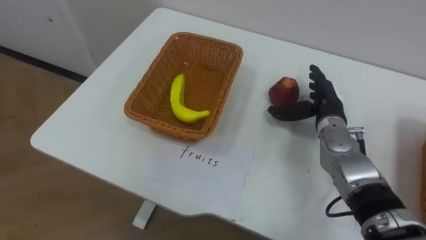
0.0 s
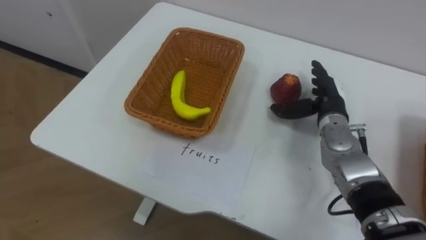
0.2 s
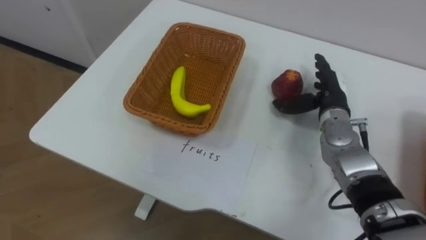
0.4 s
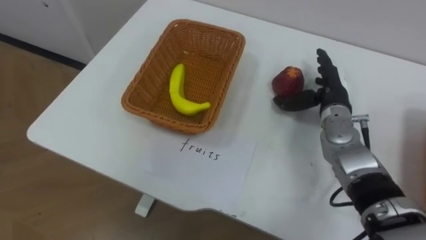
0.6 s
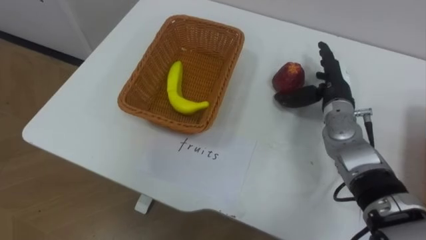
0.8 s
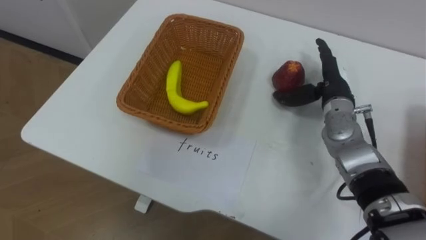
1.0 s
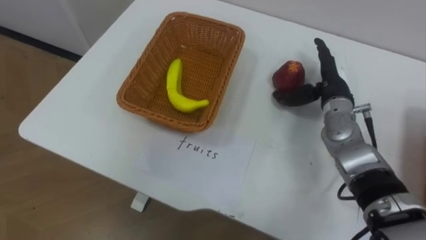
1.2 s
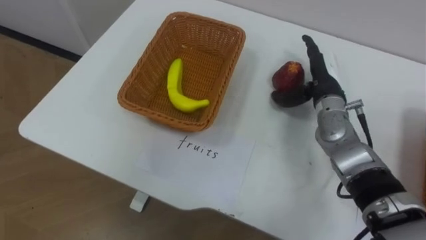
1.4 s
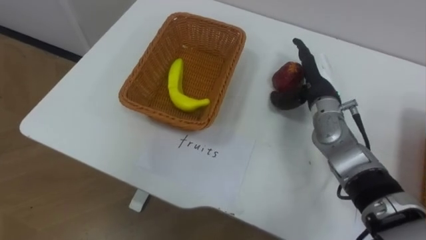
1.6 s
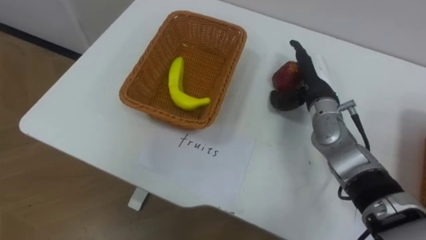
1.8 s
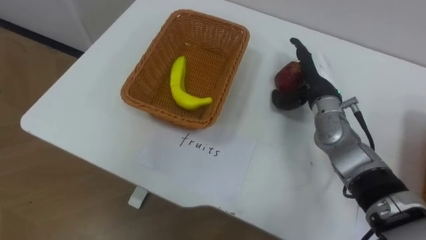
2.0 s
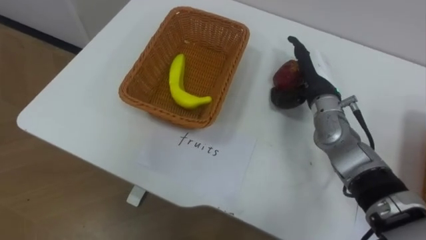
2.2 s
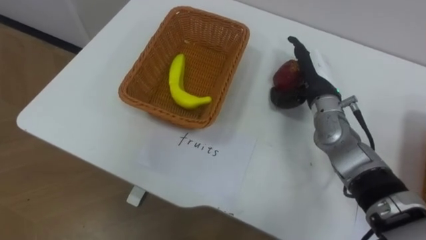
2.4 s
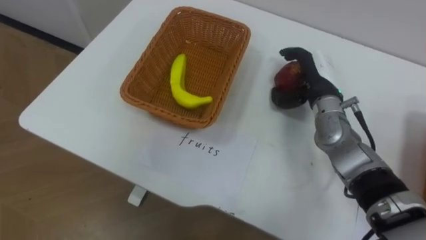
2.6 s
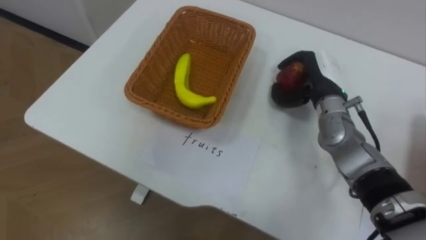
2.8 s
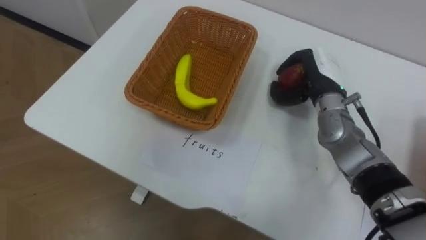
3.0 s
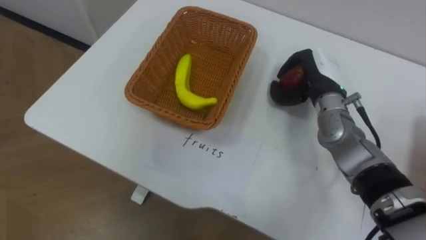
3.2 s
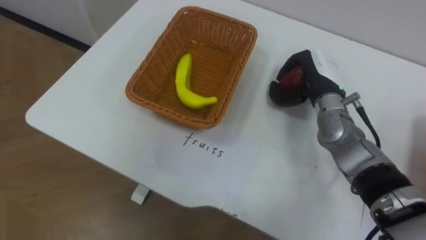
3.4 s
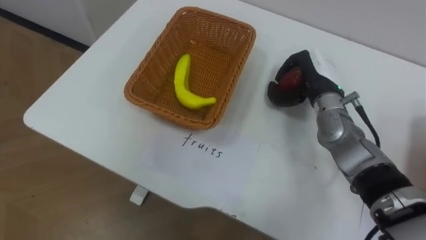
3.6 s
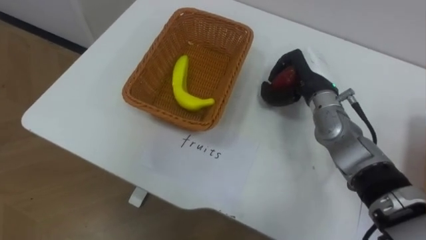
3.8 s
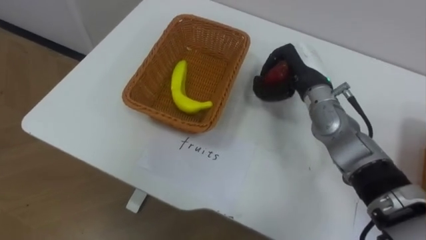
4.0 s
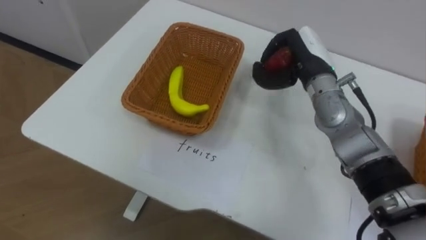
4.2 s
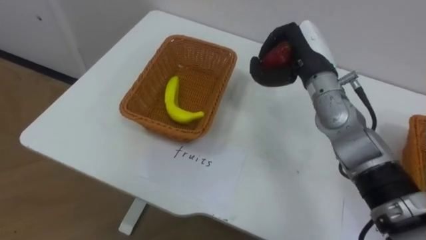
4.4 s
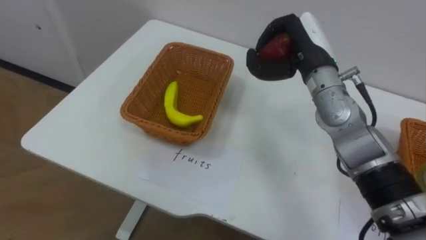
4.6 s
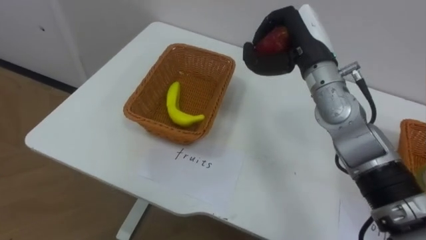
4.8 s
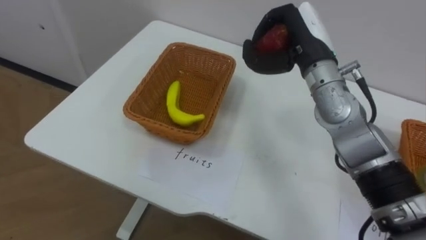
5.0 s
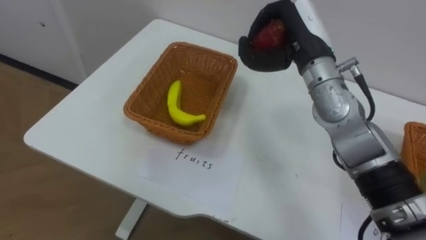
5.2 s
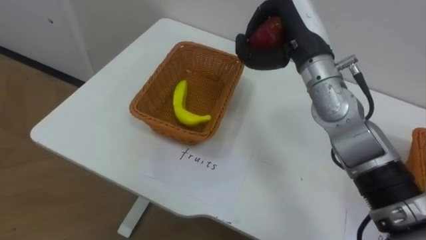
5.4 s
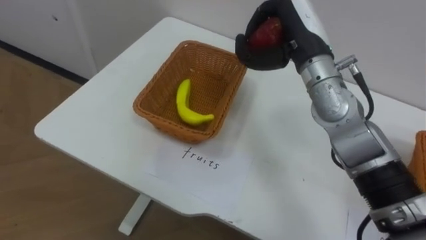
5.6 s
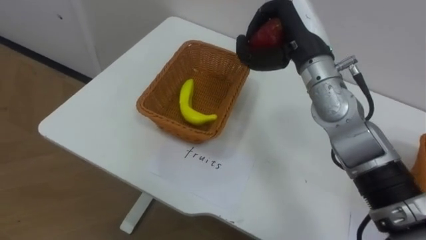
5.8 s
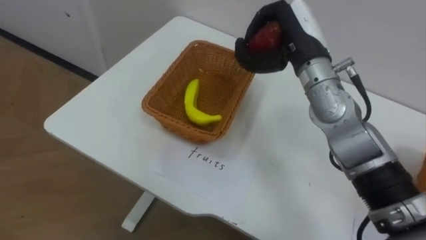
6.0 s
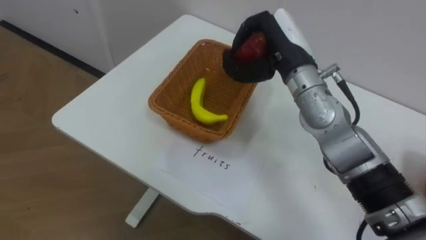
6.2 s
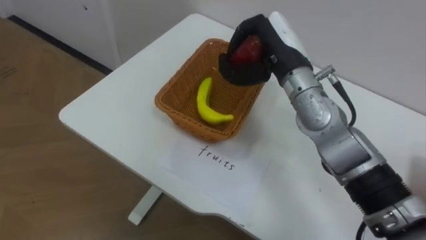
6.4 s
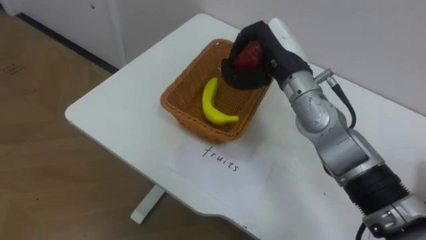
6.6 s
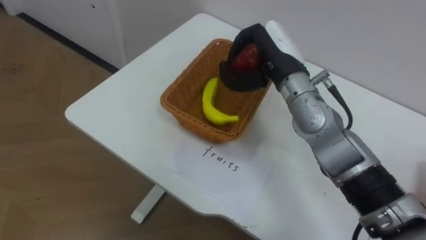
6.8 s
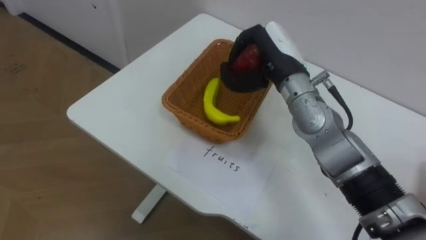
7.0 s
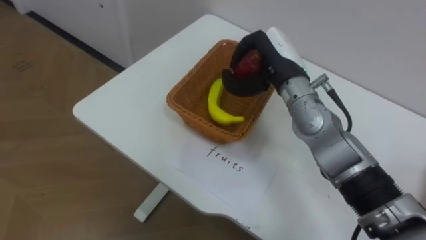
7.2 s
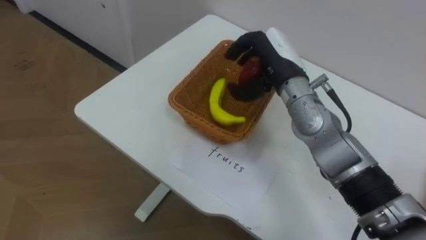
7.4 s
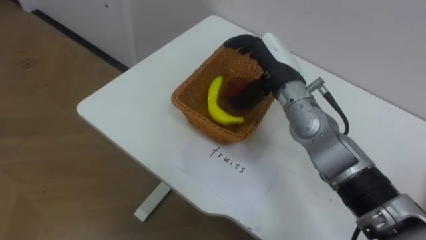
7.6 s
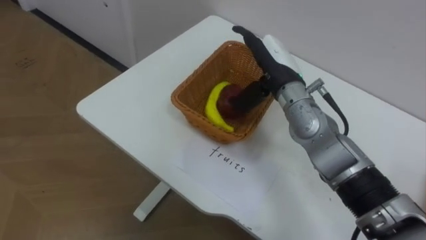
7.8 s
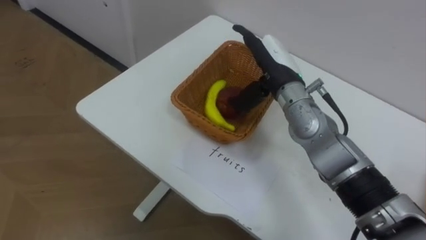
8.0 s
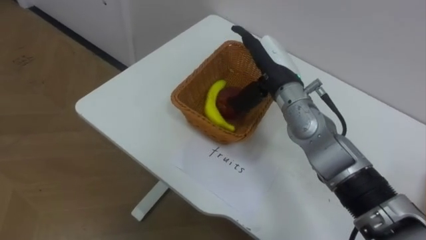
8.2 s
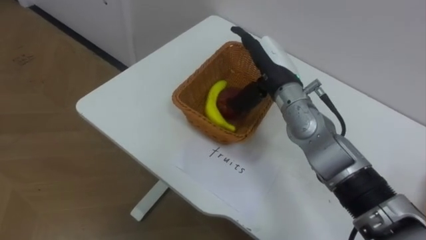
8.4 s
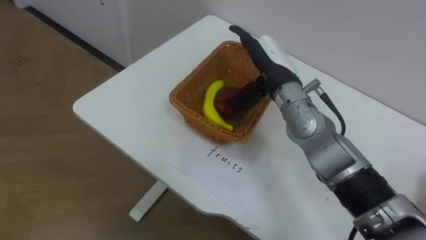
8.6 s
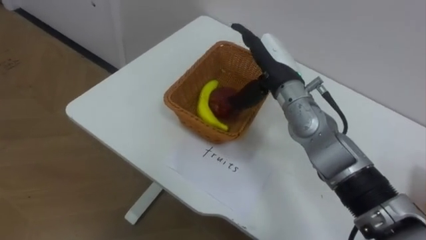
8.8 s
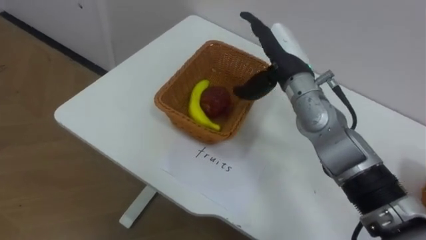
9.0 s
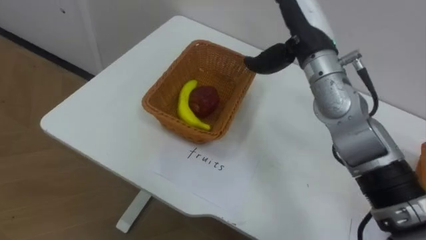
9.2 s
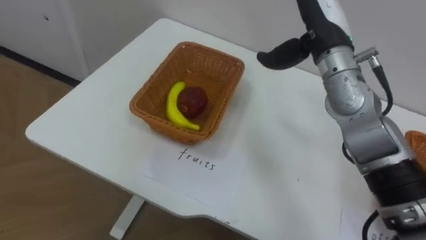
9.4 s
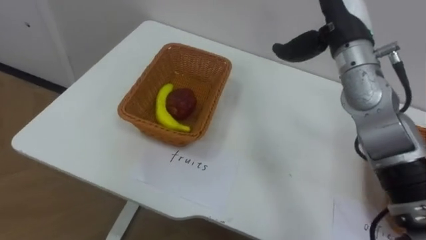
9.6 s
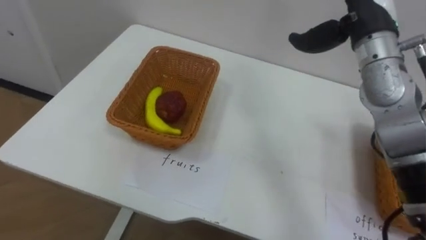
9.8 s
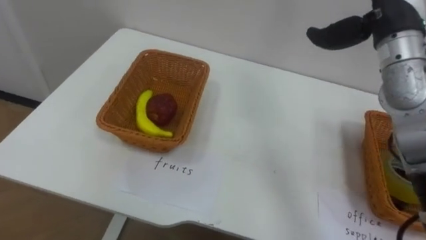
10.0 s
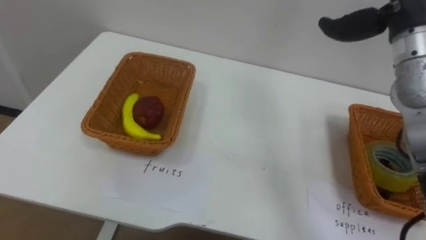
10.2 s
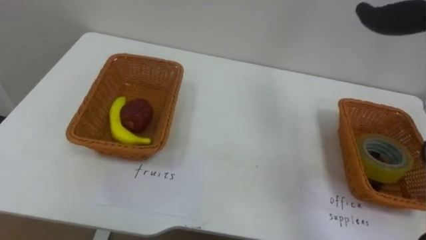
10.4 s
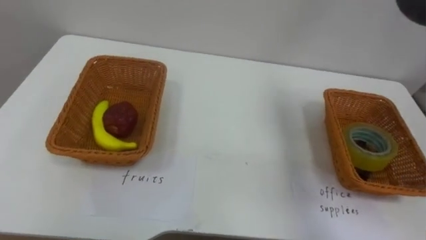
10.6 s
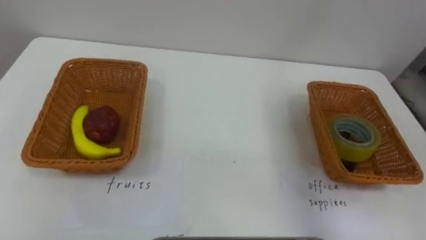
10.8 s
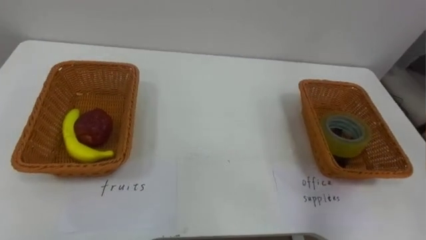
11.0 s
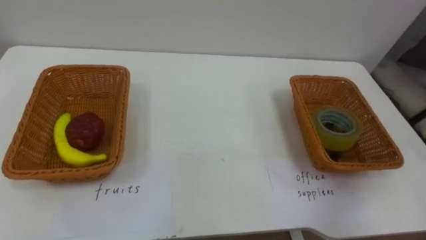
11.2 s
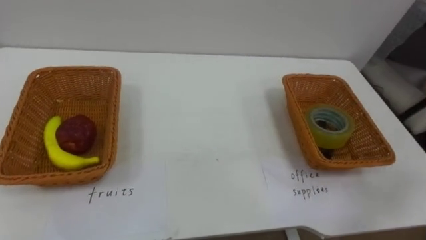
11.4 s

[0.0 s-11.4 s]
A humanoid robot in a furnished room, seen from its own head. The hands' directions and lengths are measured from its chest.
Task of the whole recording: Separate the items on the table and place them into the two baskets.
0.0 to 1.4 s: The right hand shifts by about 5 cm.
1.4 to 2.8 s: The right hand closes.
2.8 to 4.2 s: The right hand changes place by approximately 5 cm.
4.2 to 5.6 s: The right hand goes approximately 5 cm upward.
5.6 to 7.2 s: The right hand travels downward by approximately 5 cm.
7.2 to 8.6 s: The right hand opens.
8.6 to 10.0 s: The right hand travels to the right and upward by roughly 20 cm.

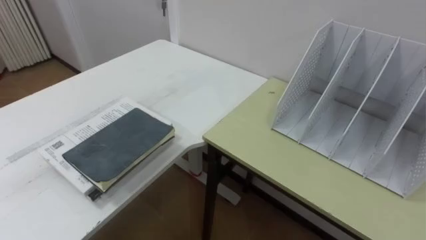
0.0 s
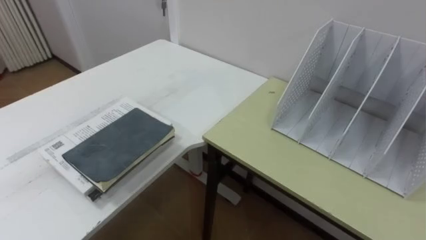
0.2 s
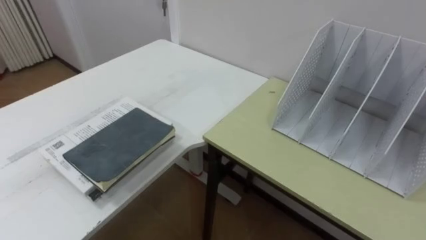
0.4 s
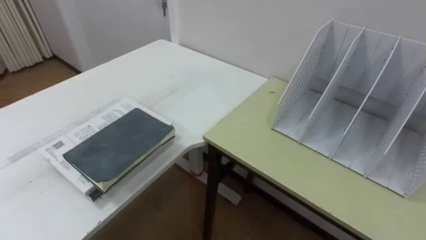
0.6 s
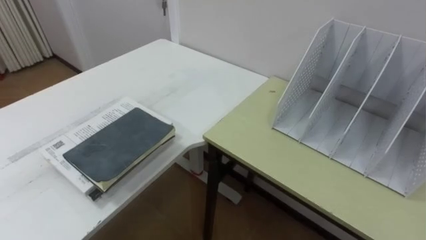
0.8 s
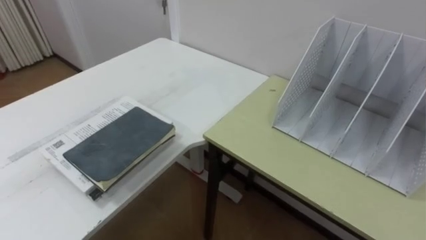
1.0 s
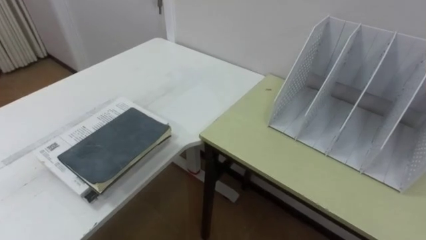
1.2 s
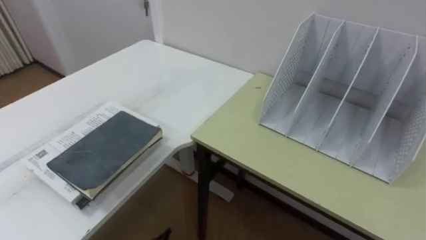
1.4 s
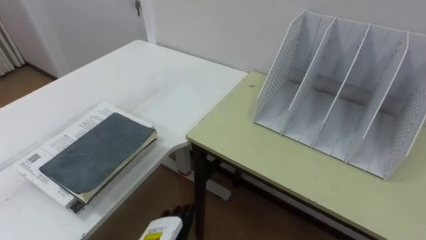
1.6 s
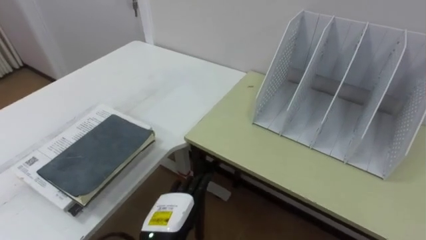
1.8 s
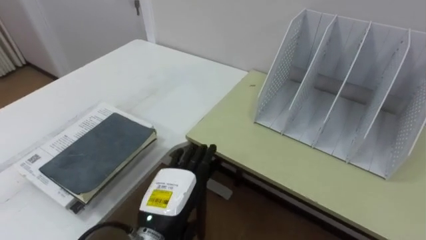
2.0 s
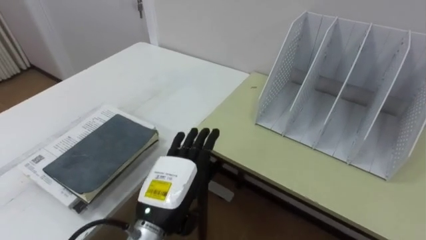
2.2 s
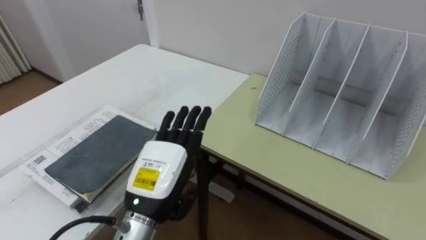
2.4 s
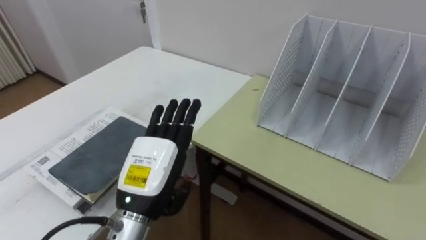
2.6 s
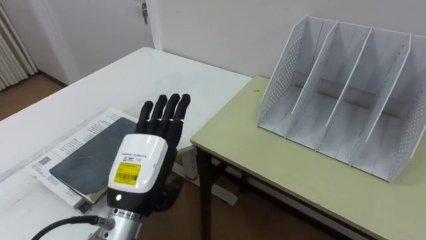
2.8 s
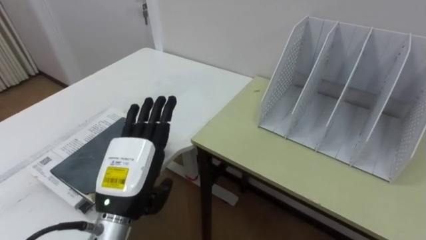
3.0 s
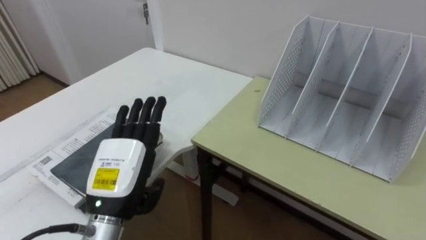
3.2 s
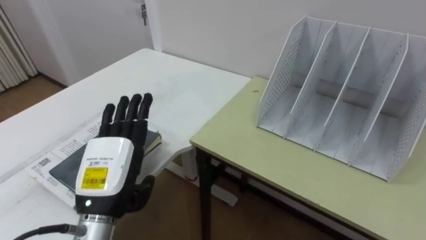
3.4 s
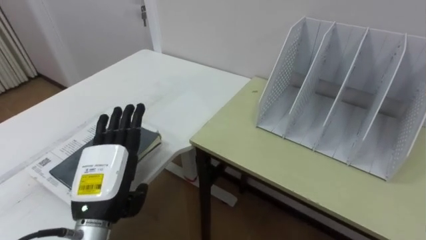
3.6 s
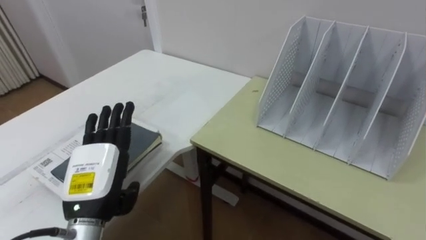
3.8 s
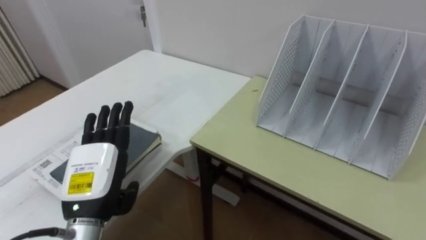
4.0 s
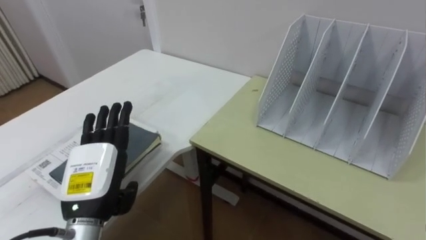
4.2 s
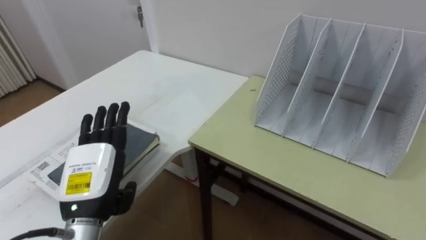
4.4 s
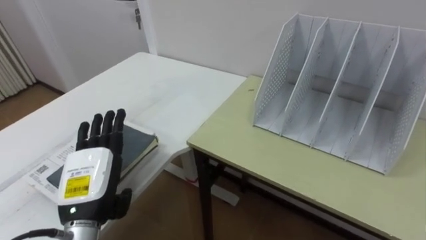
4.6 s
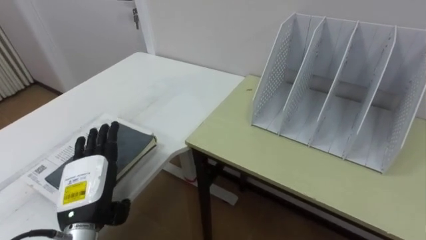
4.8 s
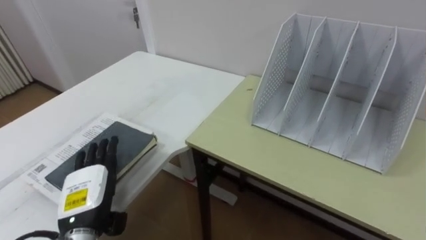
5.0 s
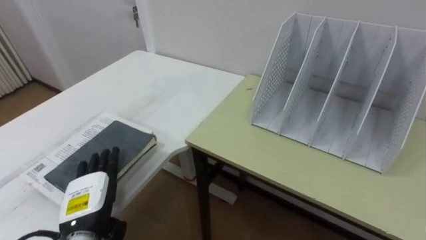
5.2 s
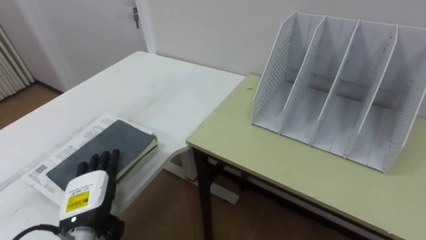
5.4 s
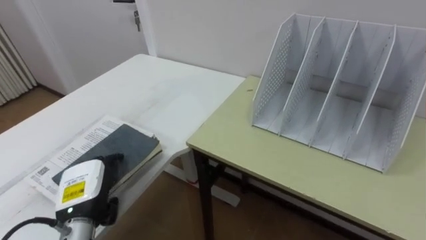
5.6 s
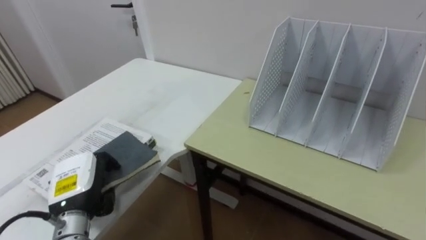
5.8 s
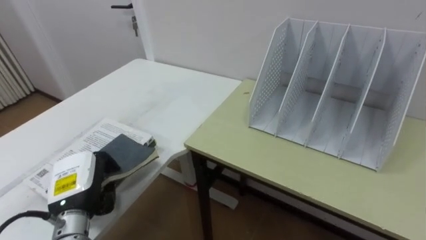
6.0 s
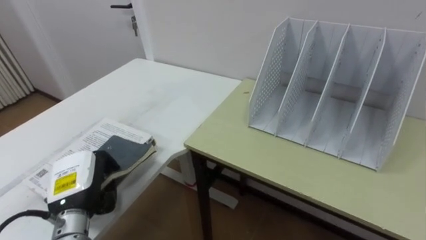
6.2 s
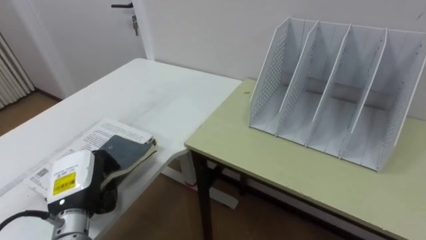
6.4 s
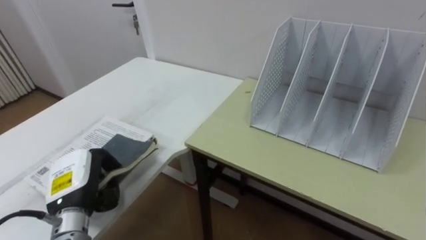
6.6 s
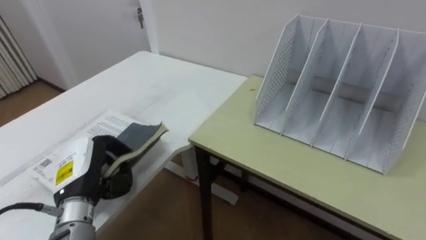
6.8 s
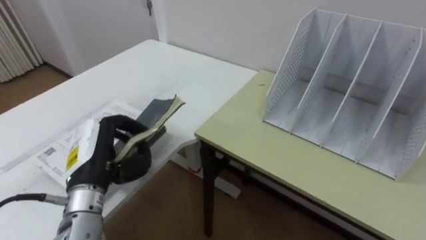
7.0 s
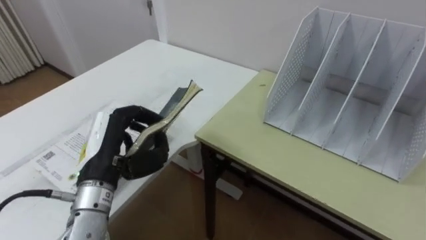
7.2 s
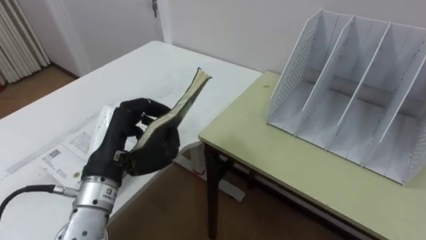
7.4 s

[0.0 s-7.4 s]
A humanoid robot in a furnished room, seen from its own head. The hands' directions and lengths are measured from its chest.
Task of the whole recording: Put the books on the table onto the bookshelf.
3.0 to 4.4 s: The left hand travels to the left by roughly 5 cm.
4.4 to 6.0 s: The left hand moves downward, some 5 cm, and closes.
6.0 to 7.4 s: The left hand is displaced upward and to the right by some 15 cm.
